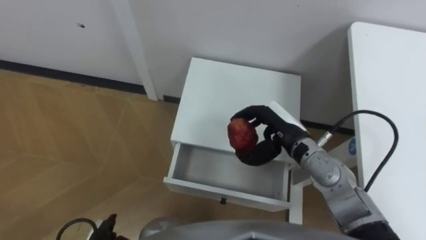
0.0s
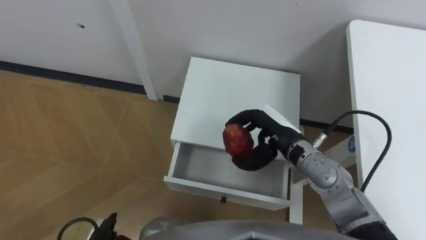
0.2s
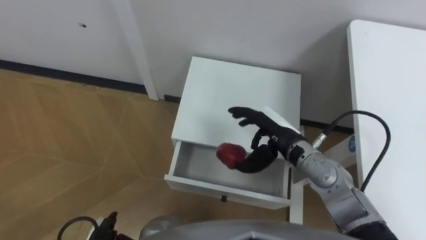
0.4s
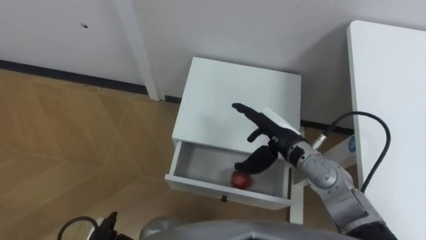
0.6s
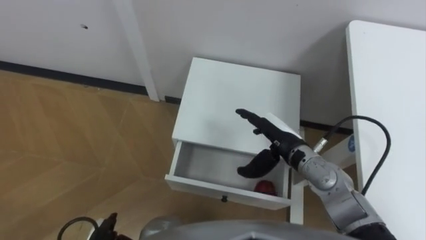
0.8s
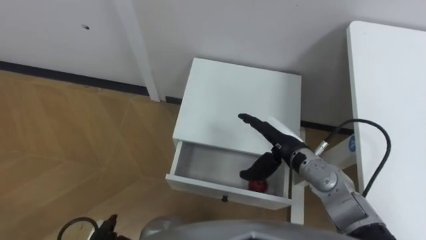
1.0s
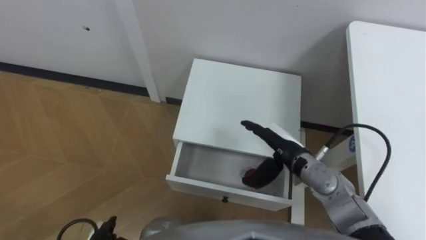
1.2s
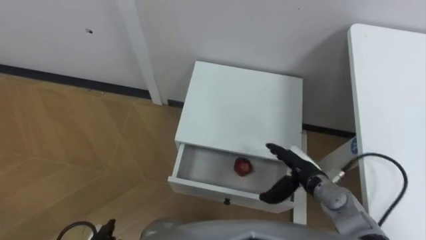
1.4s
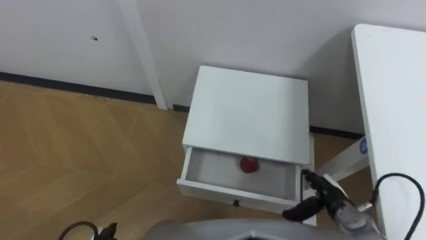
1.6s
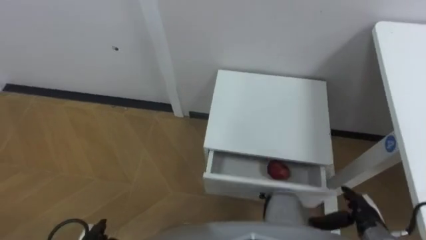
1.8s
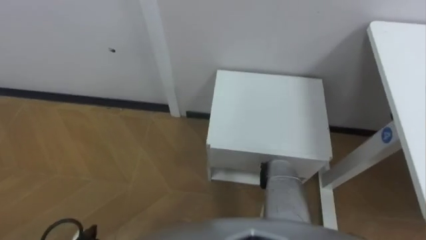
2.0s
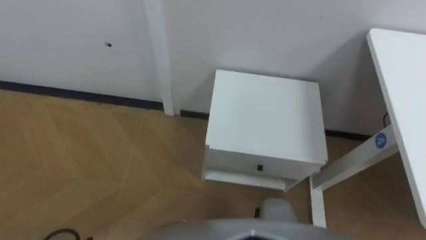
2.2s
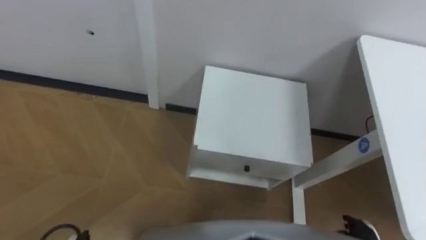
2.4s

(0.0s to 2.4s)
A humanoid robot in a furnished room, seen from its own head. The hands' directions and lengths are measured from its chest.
Task of the whole recording: Pick up the apple from the table, put it in the drawer, and close the drawer with leg.
0.0s - 1.2s: The right hand opens.

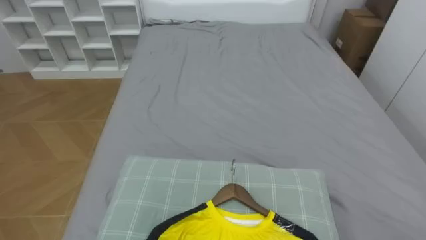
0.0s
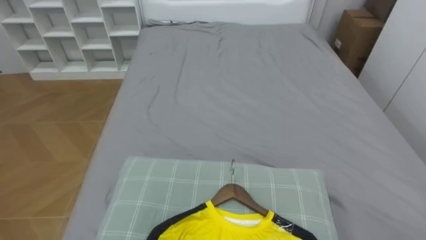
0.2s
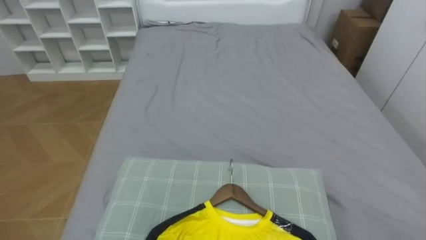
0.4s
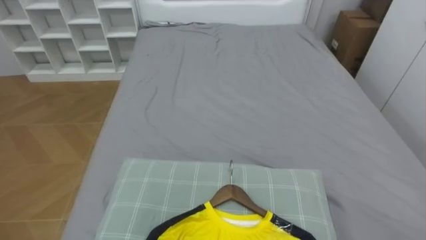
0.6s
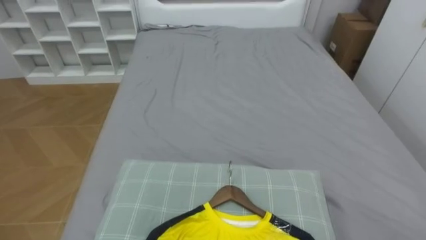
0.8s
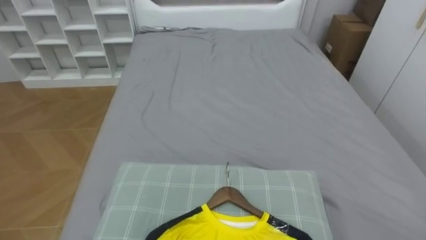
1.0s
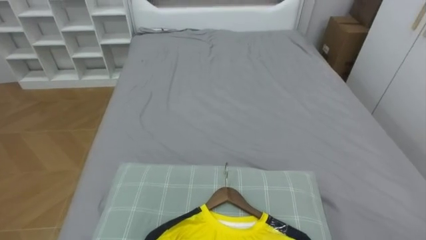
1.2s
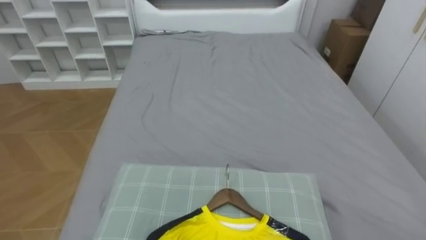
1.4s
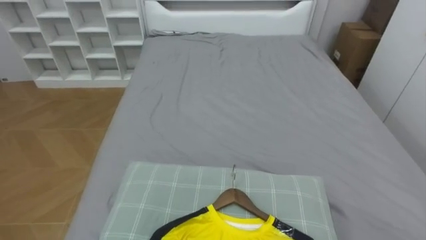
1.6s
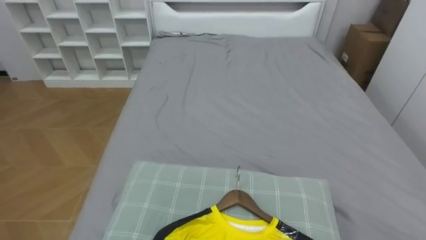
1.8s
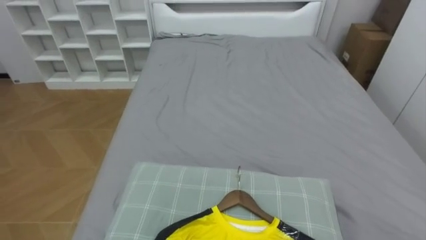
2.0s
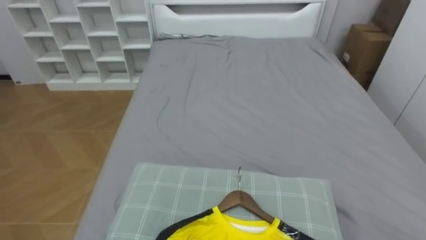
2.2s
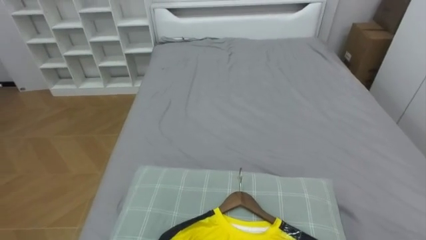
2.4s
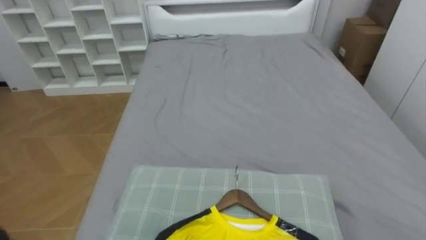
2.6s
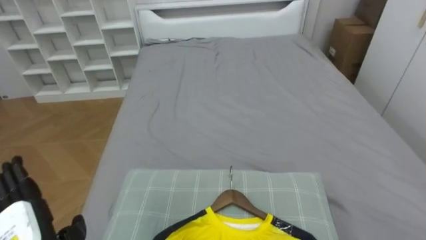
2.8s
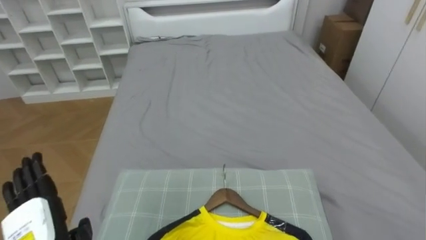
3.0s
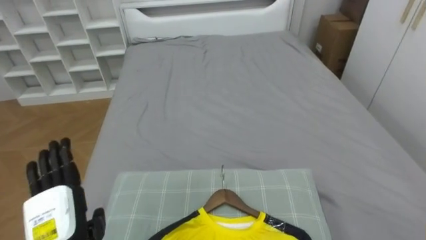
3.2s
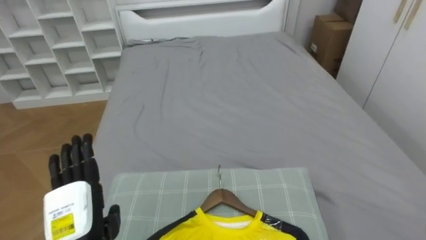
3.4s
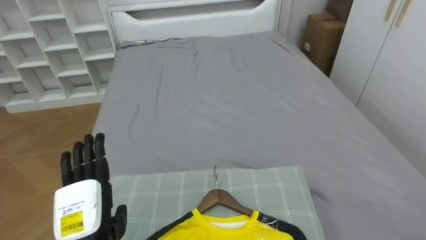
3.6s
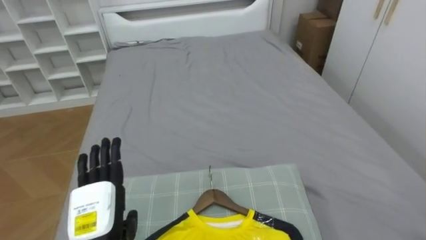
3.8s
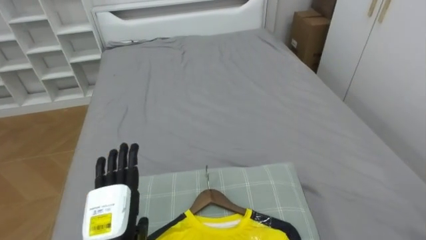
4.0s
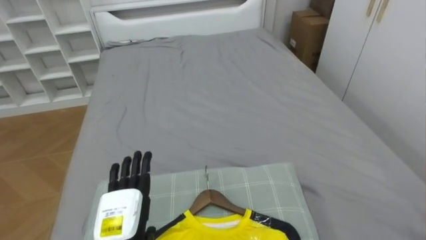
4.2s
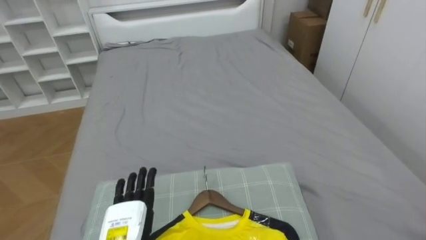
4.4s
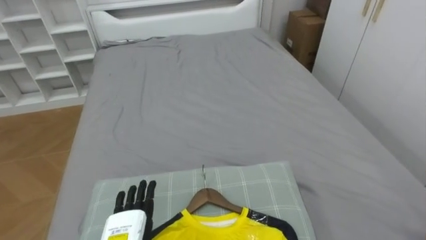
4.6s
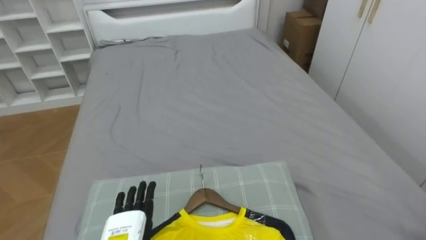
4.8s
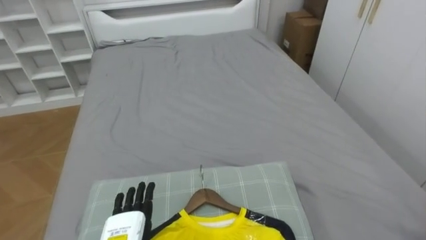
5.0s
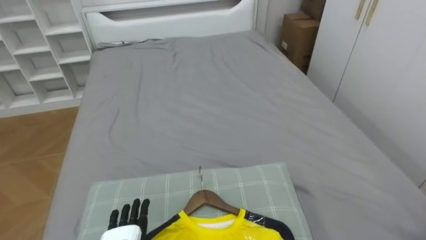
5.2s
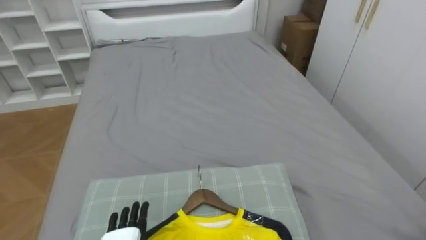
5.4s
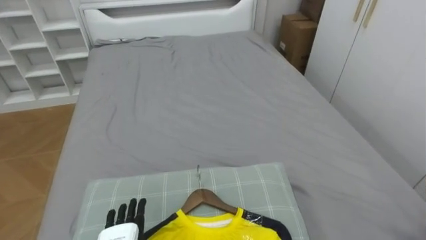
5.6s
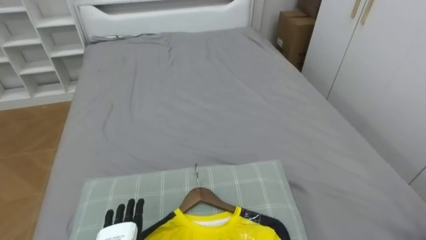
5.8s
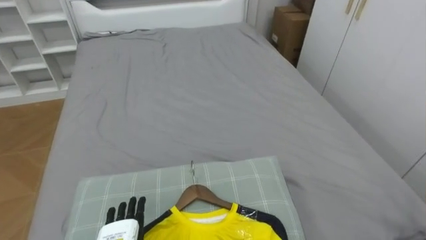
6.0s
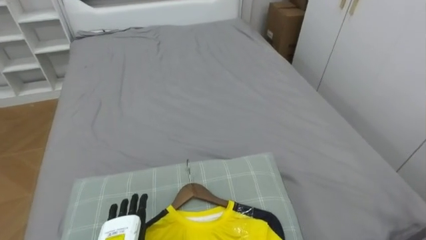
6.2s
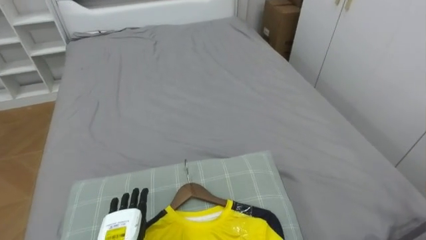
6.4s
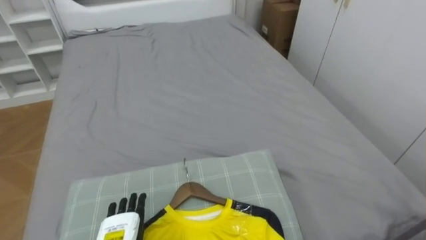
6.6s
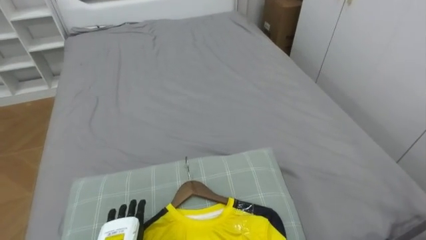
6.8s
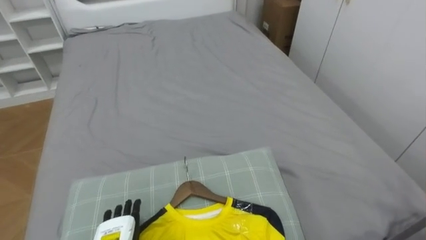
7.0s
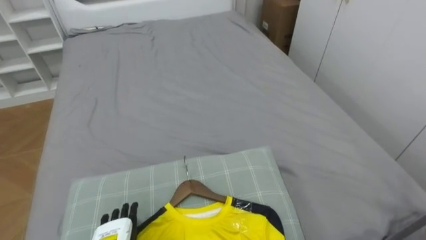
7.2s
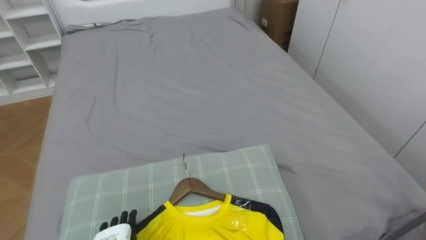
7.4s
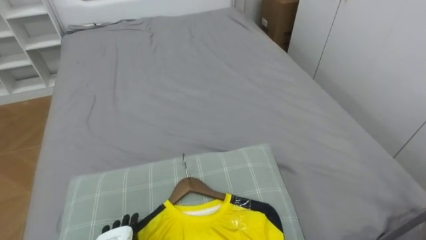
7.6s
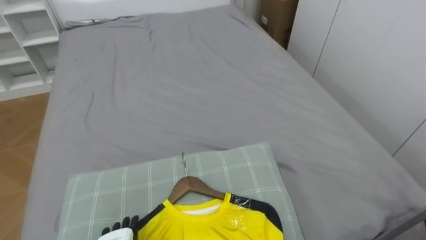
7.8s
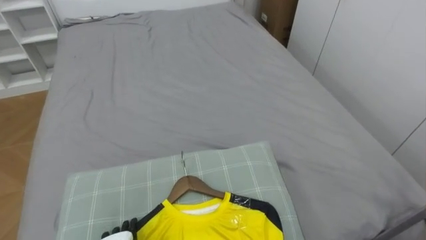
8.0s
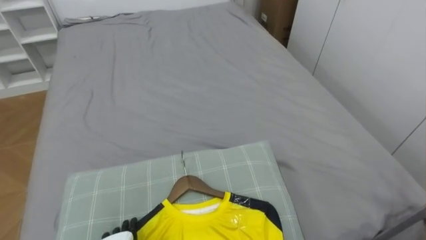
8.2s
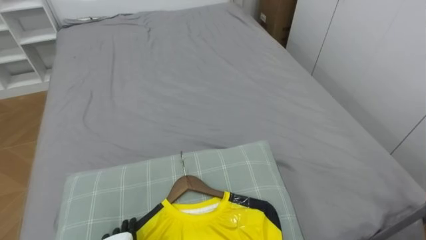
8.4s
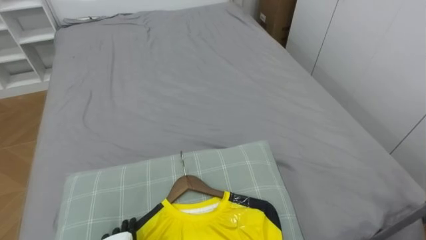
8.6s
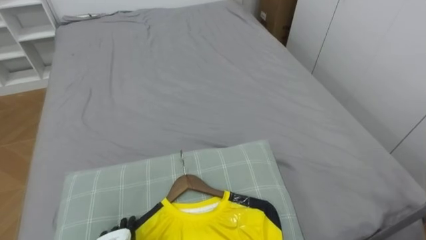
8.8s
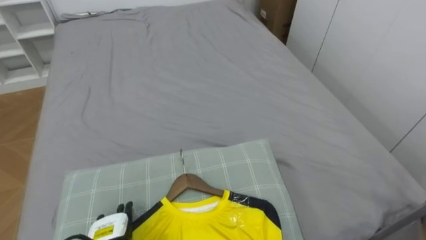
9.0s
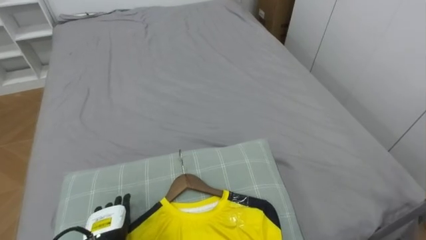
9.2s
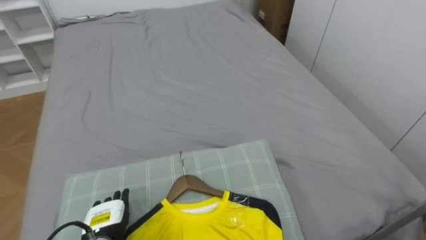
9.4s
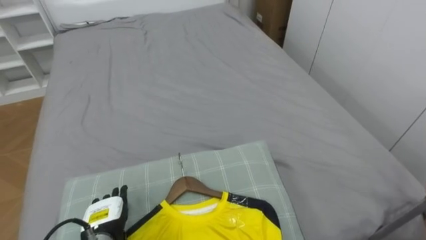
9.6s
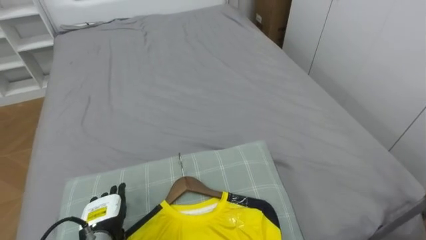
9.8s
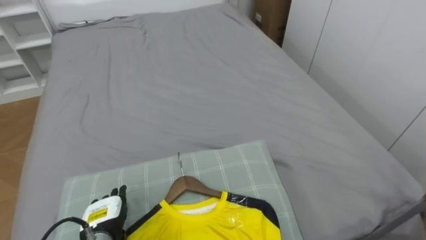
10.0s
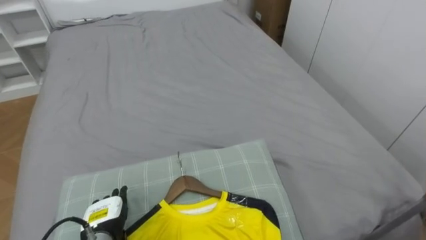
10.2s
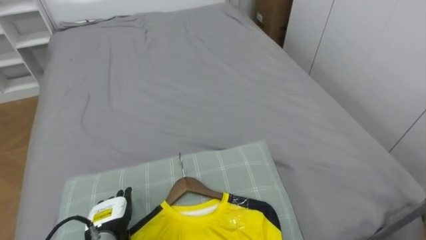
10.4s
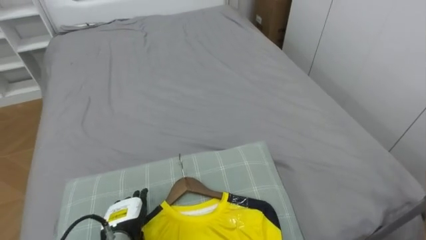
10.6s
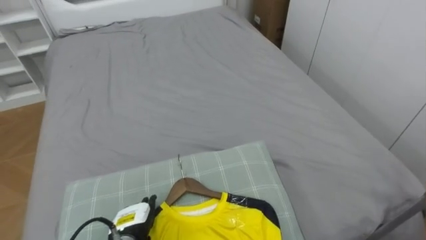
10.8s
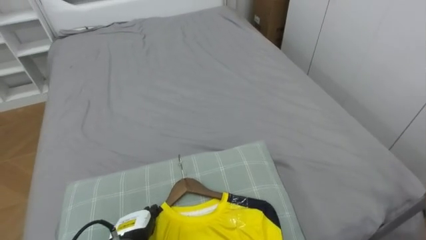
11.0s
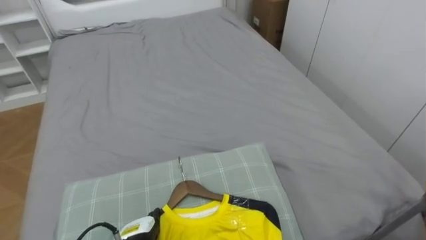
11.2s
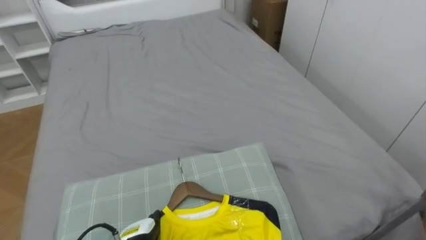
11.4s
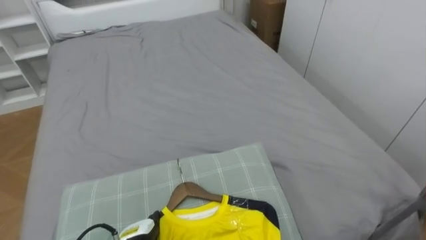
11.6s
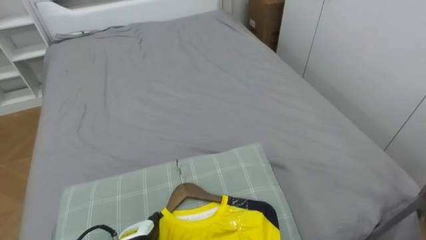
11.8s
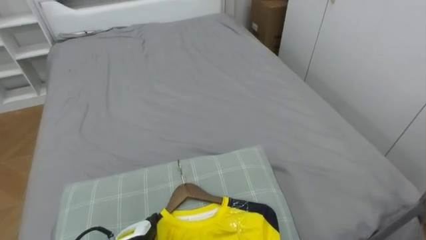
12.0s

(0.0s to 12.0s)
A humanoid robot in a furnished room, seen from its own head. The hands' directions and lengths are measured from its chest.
Task of the whole recording: Pick up the yellow shirt on the bed and hang it on the clothes rack on the right.
3.0s - 4.4s: The left hand heads to the right, covering approximately 10 cm.

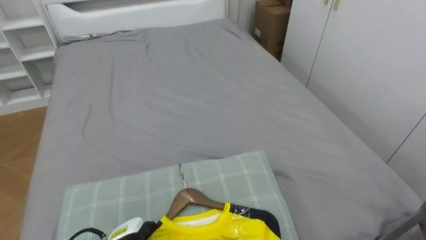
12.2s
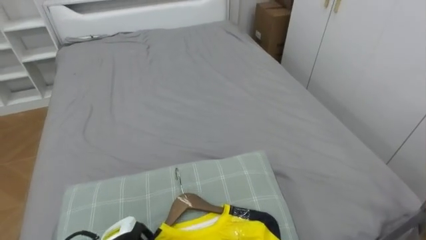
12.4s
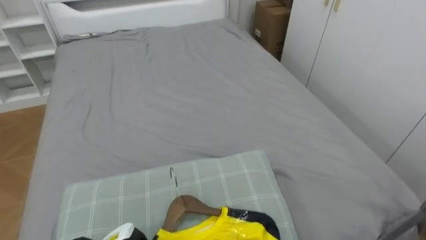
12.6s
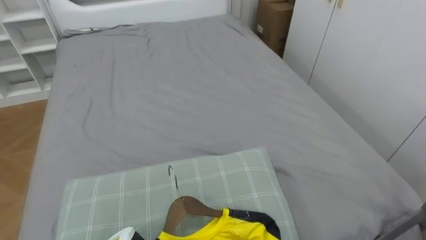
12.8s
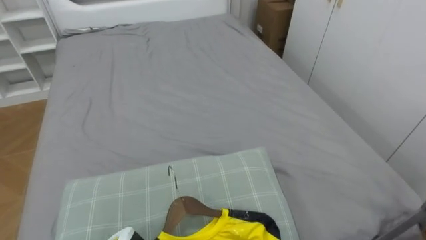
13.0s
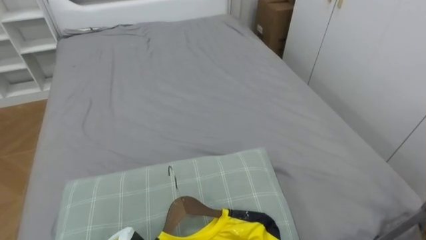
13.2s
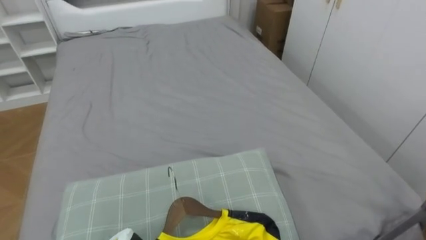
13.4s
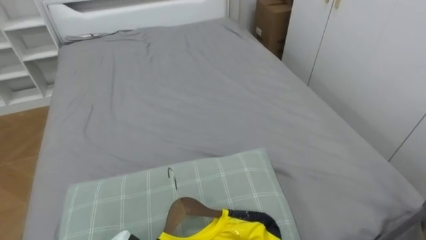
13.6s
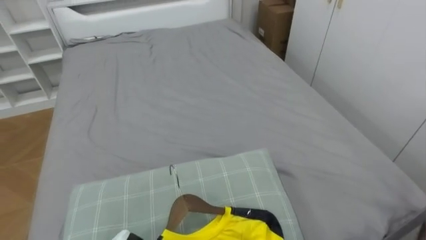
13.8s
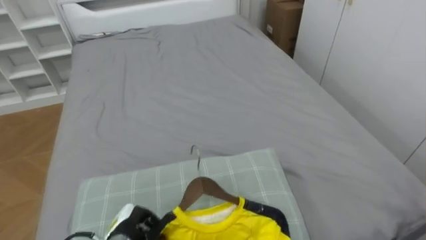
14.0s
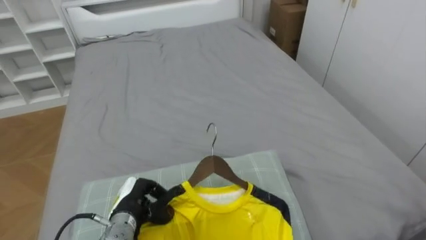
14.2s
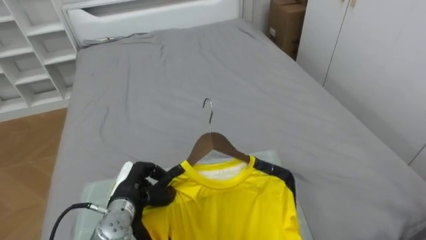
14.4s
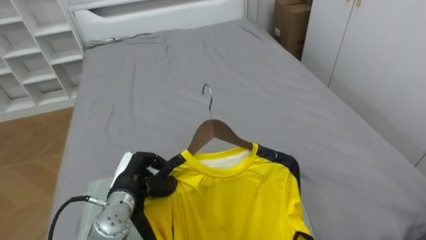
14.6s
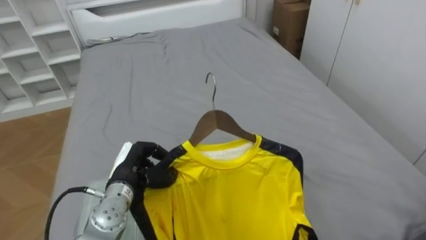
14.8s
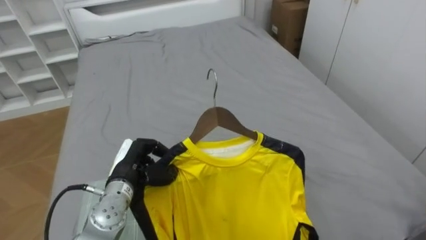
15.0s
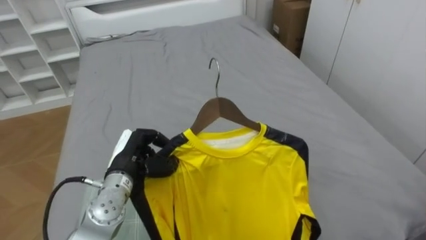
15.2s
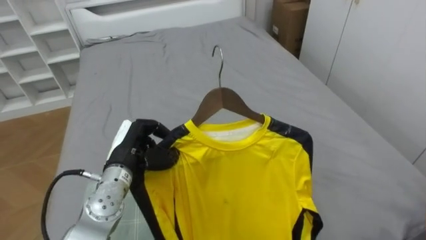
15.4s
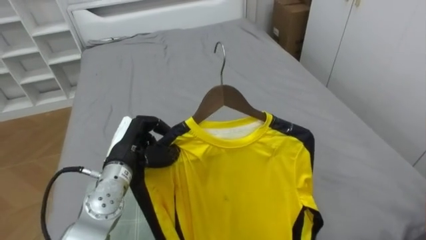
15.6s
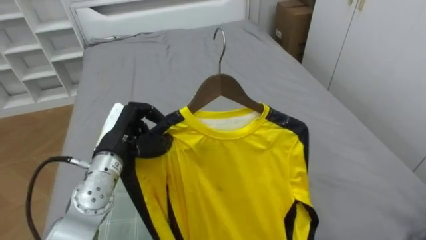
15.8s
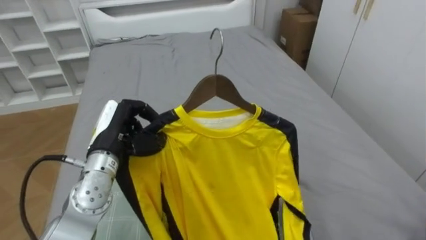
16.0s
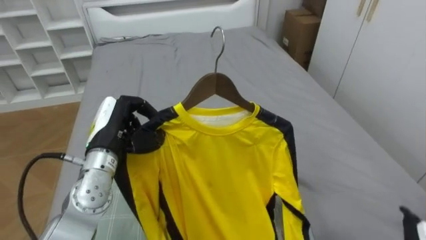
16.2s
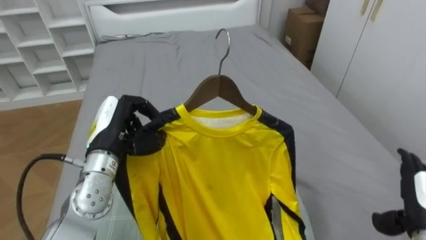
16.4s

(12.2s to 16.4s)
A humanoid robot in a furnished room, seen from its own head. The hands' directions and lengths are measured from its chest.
Task of the whole recording: Pick up the yellow shirt on the bed and hang it on the clothes rack on the right.
15.0s - 16.4s: The left hand moves upward, about 10 cm.
